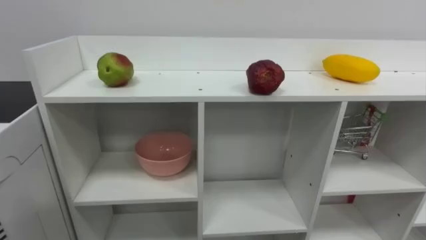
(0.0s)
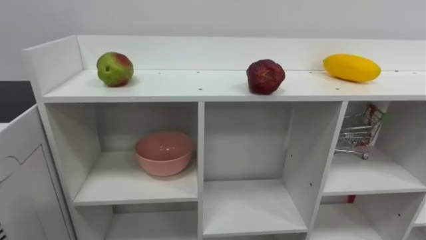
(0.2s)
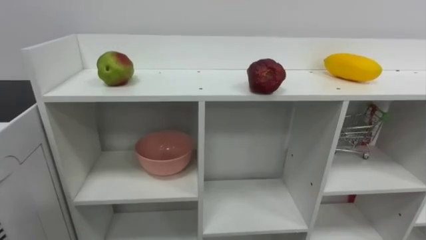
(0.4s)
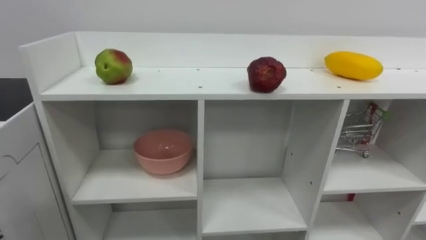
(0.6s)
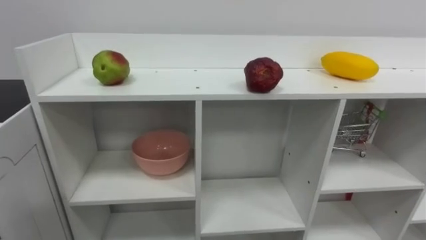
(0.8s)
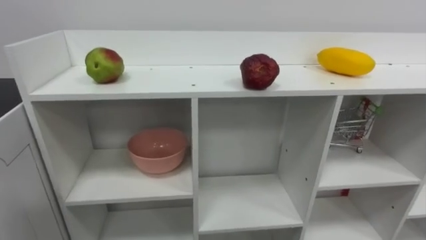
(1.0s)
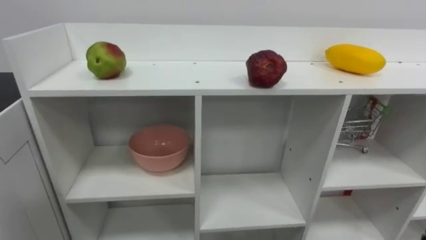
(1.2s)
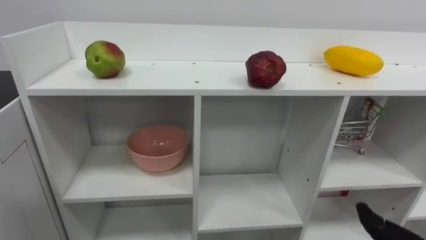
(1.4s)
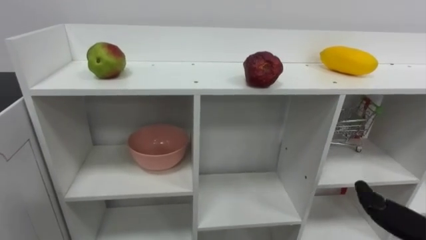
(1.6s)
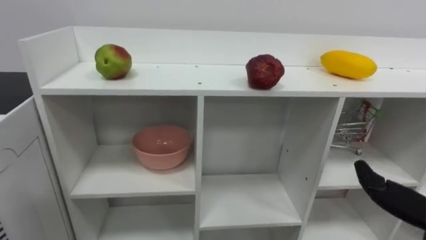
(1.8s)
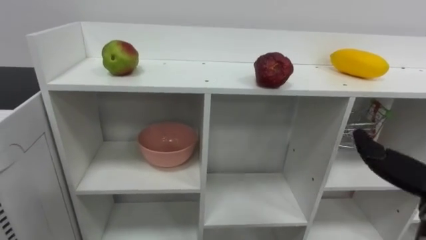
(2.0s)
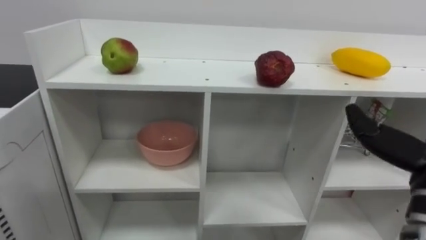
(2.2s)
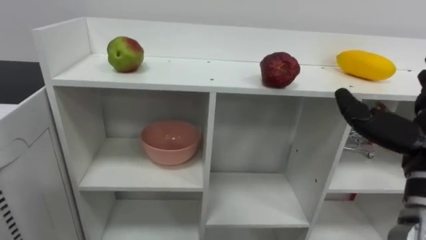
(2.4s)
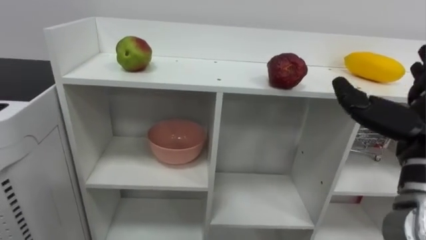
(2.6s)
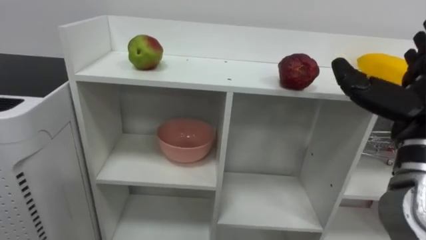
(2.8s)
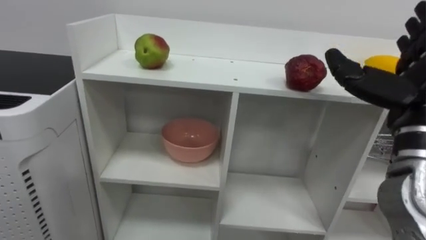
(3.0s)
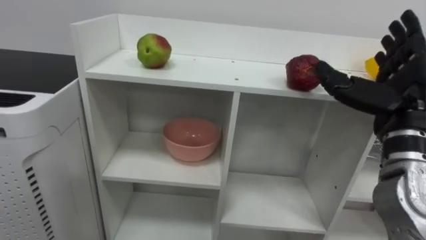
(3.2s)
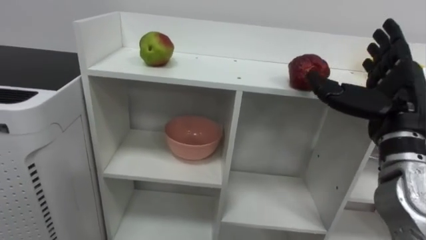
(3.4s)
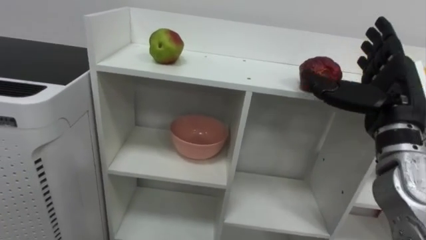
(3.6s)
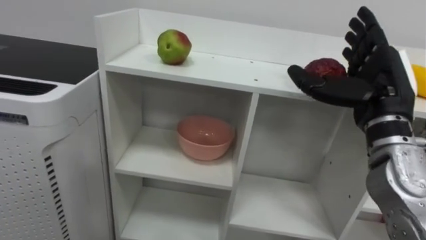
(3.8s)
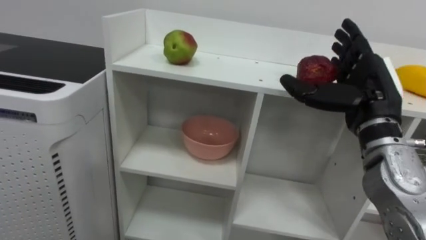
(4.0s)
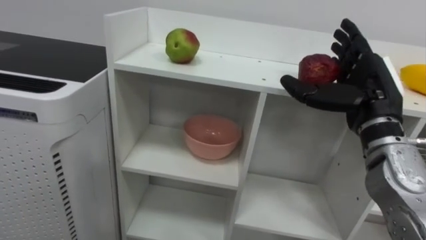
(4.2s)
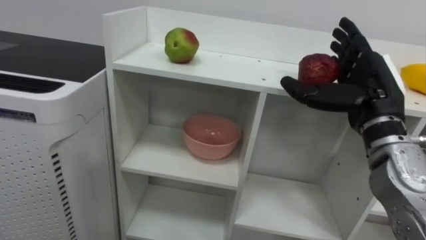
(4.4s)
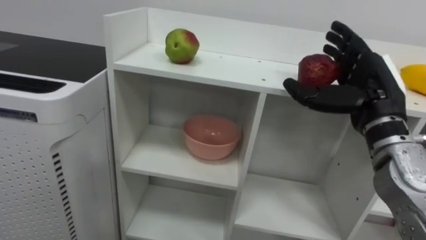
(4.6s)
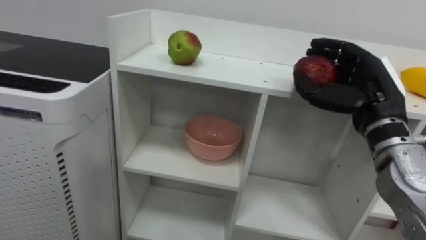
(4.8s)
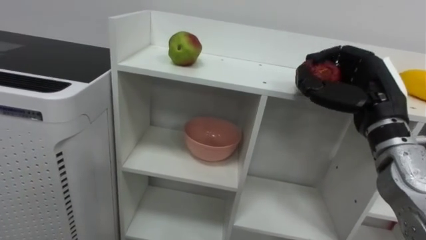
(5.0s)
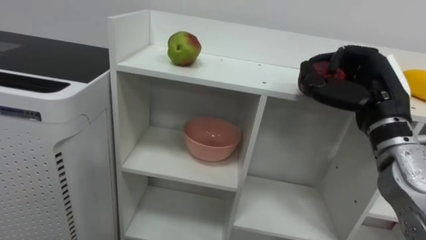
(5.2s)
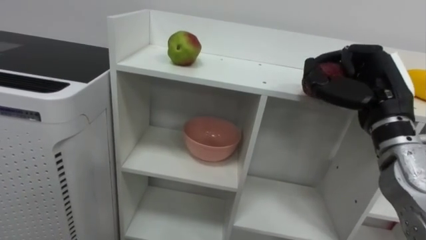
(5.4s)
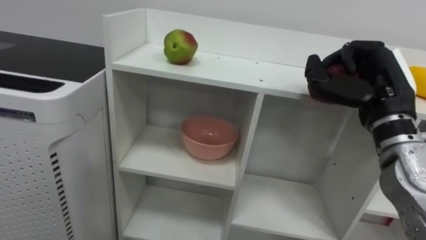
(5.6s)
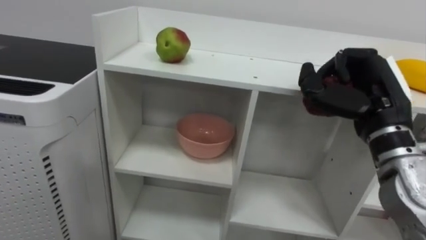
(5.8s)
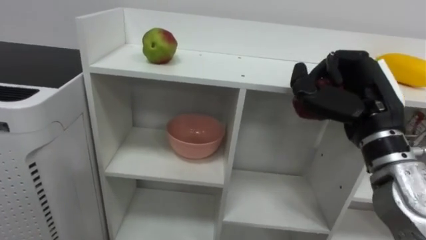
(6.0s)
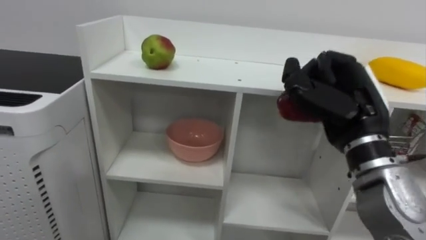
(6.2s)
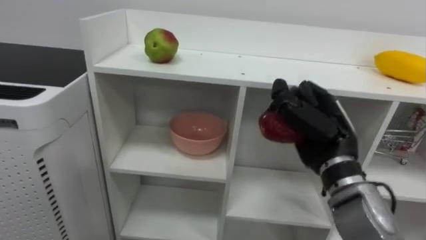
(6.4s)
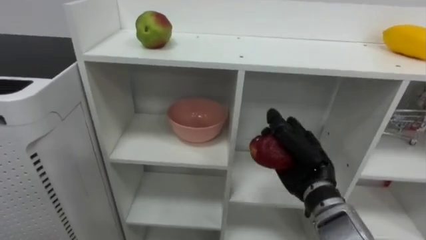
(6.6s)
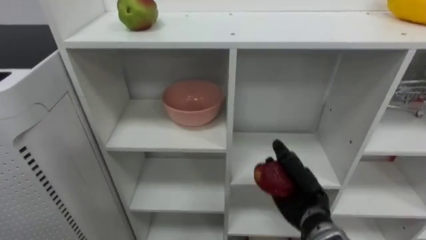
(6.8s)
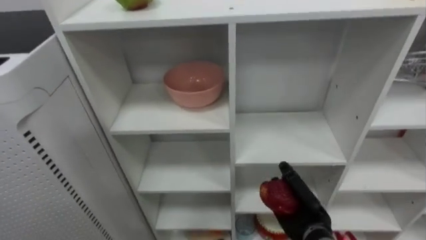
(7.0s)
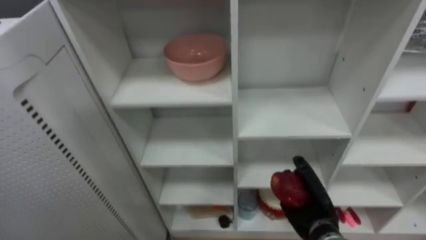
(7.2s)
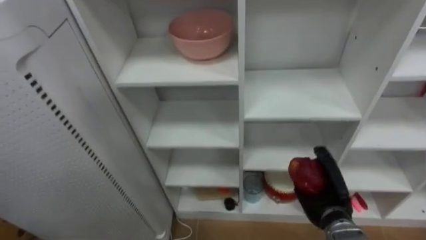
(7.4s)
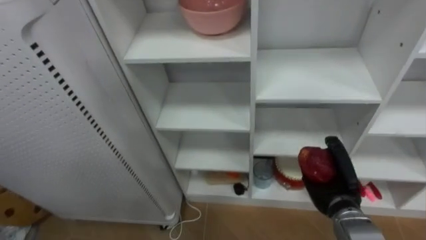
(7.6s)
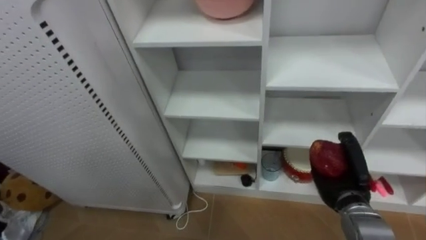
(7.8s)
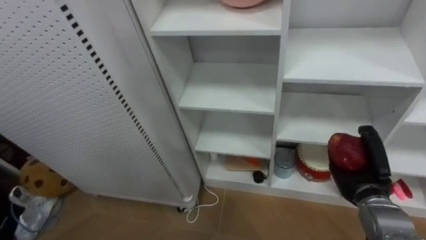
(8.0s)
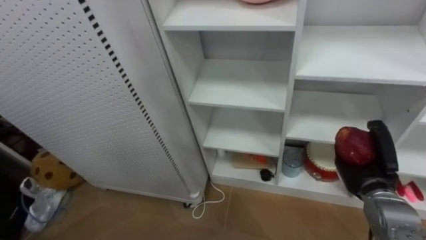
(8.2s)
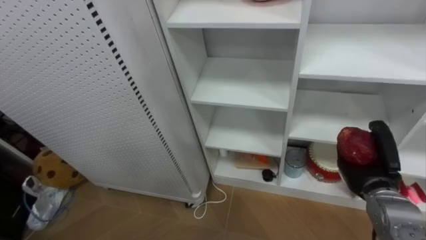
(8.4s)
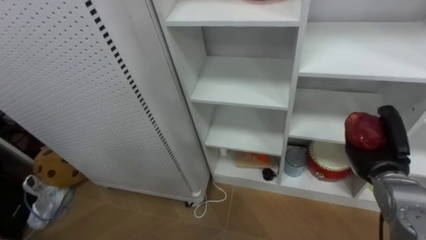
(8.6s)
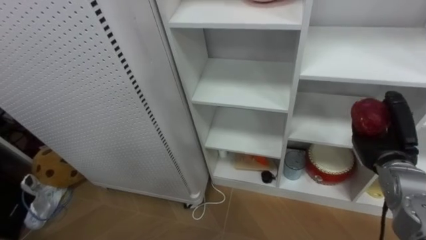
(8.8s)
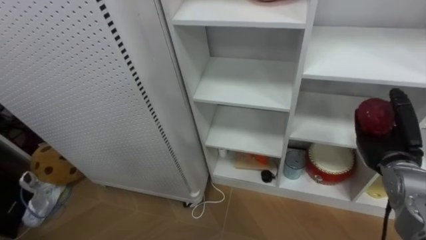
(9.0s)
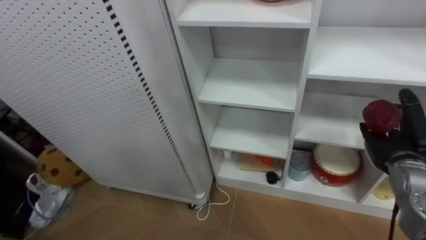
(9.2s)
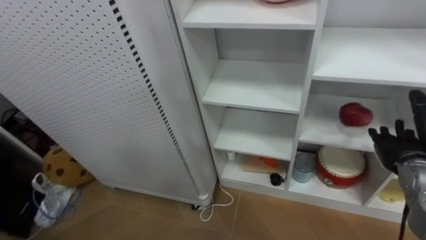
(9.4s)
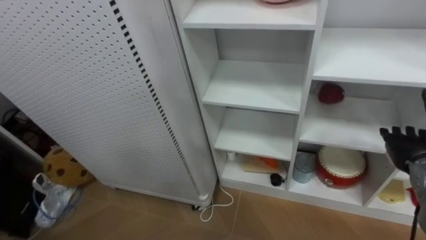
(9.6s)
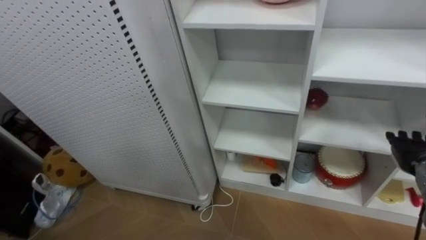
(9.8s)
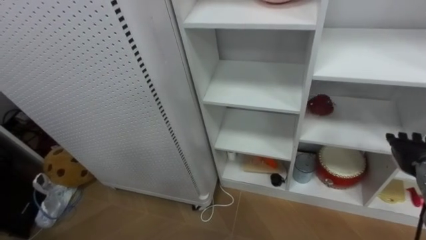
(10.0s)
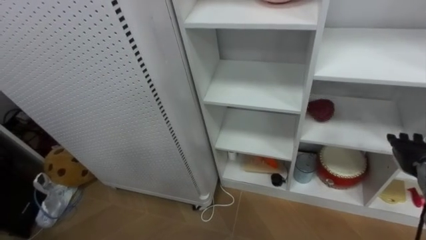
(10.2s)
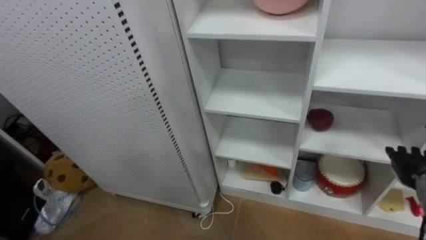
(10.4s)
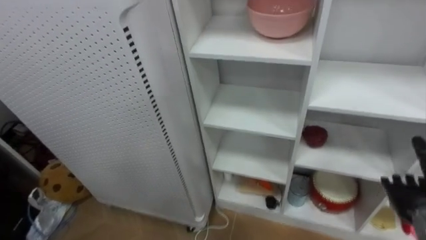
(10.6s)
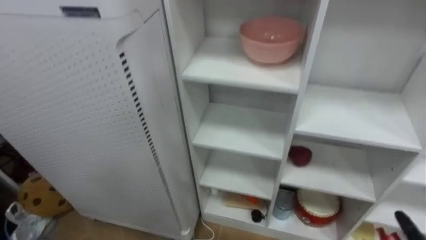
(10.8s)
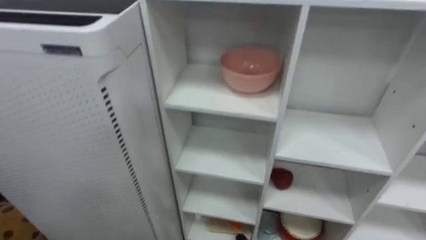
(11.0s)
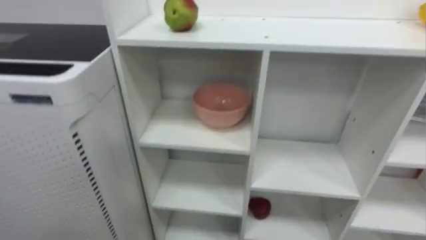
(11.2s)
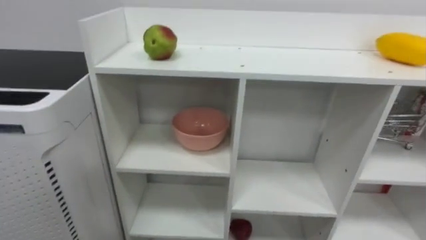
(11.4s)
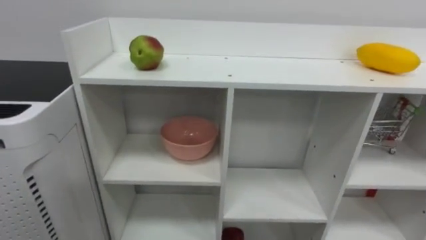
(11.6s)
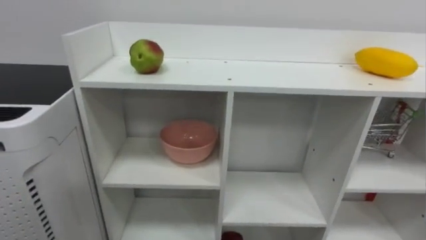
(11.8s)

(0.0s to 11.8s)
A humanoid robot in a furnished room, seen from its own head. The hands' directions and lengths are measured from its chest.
Task of the whole recording: Put the apple in the cell in the second column from the left and the second row from the top.
3.0s - 4.4s: The right hand goes approximately 5 cm forward.
4.4s - 6.0s: The right hand closes up.
6.0s - 7.4s: The right hand heads downward, covering some 25 cm.
7.4s - 8.8s: The right hand goes about 15 cm to the right and upward.
8.8s - 10.4s: The right hand travels to the right by some 5 cm, and opens.

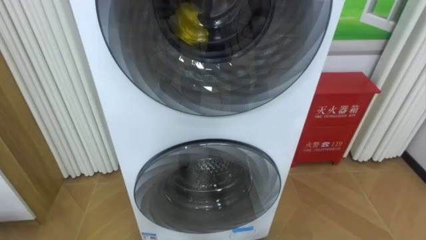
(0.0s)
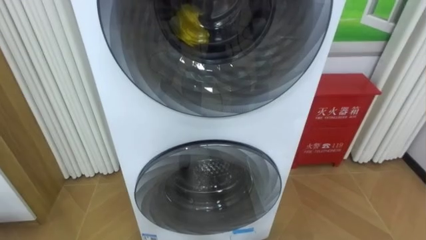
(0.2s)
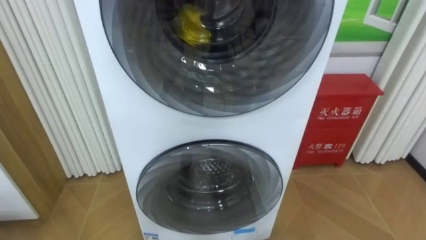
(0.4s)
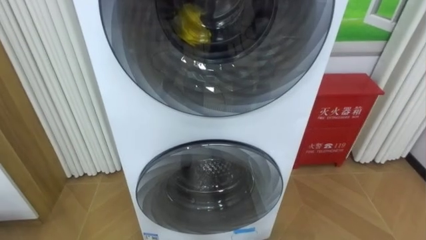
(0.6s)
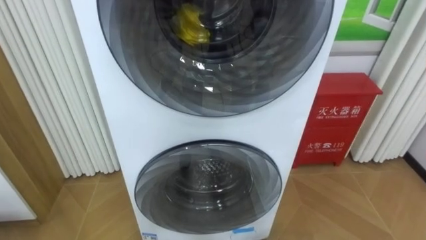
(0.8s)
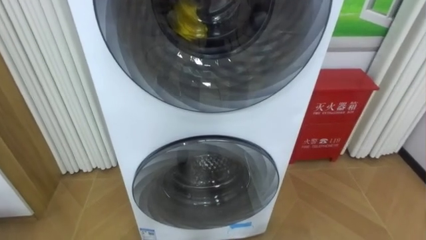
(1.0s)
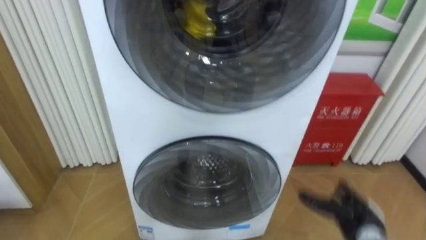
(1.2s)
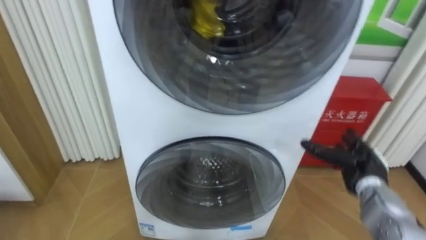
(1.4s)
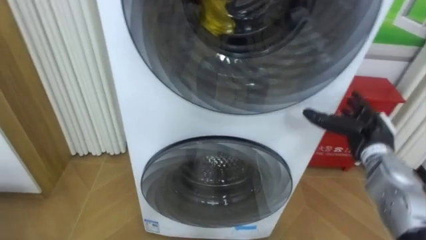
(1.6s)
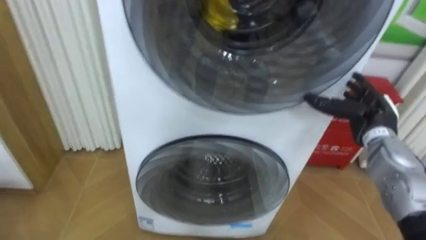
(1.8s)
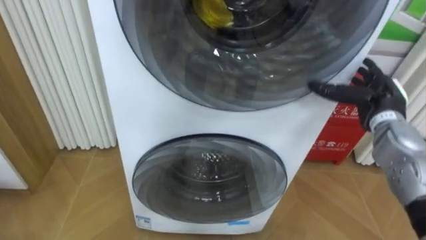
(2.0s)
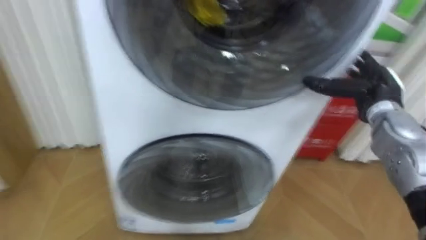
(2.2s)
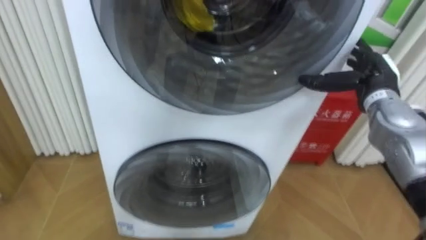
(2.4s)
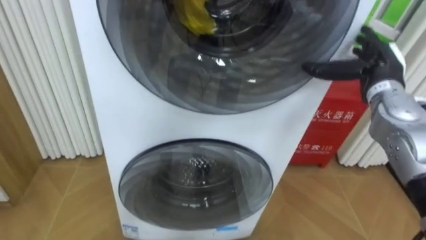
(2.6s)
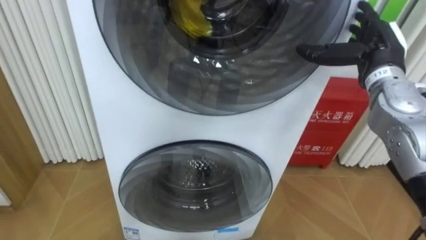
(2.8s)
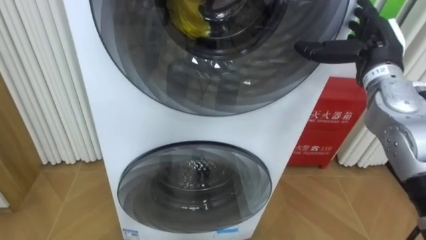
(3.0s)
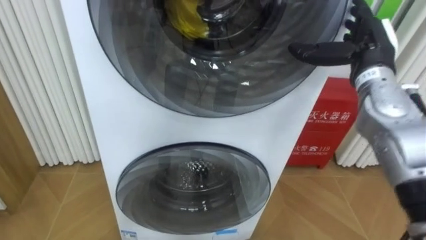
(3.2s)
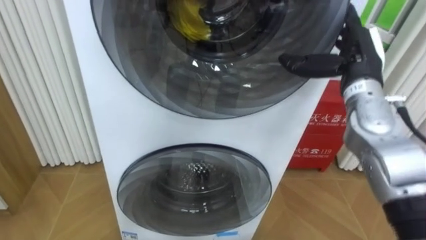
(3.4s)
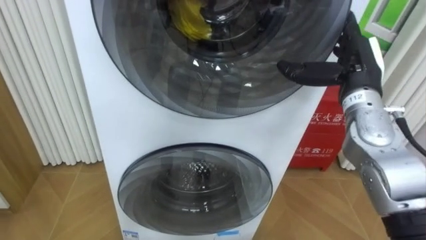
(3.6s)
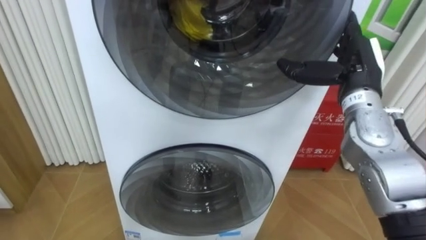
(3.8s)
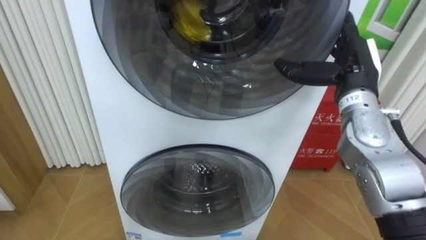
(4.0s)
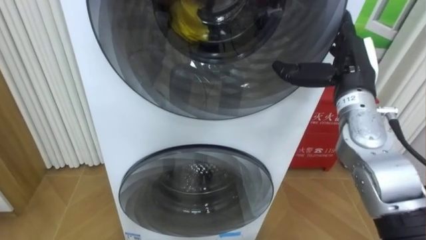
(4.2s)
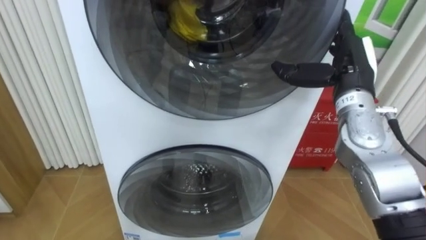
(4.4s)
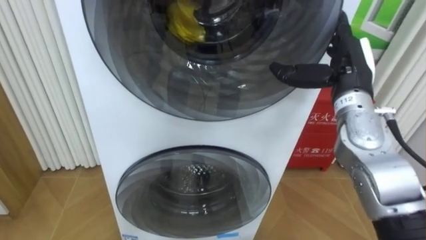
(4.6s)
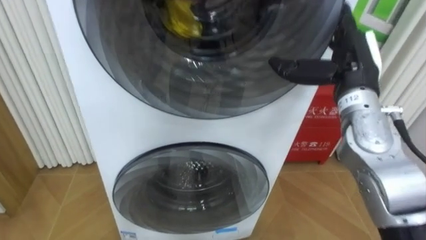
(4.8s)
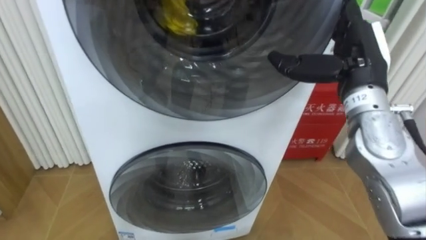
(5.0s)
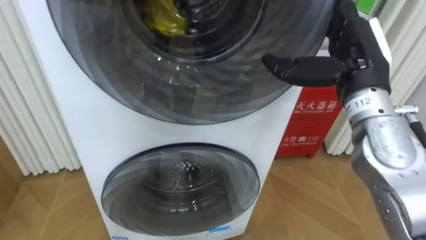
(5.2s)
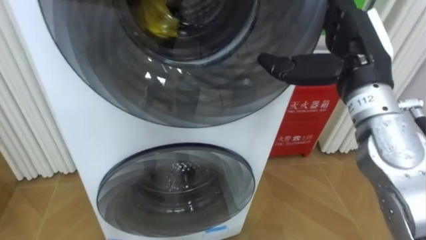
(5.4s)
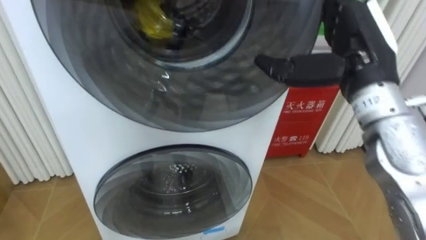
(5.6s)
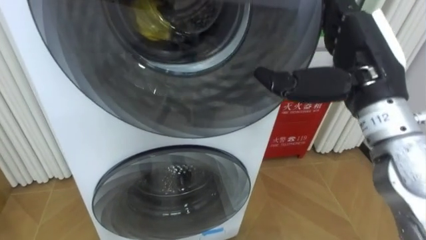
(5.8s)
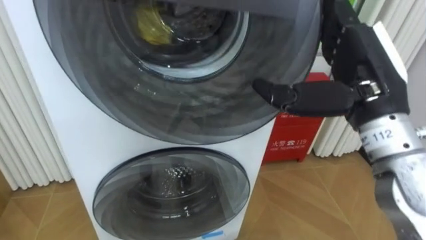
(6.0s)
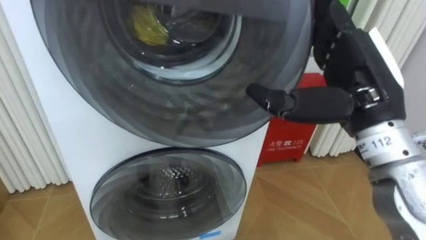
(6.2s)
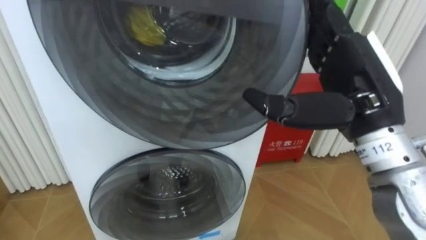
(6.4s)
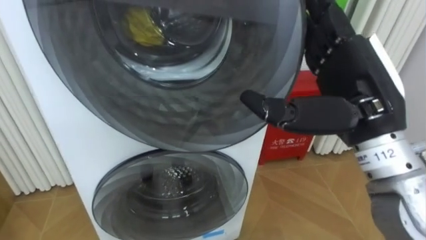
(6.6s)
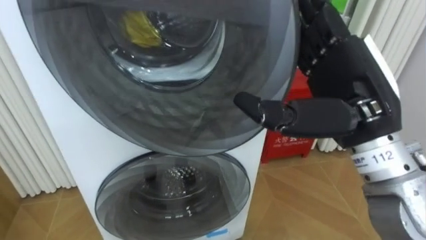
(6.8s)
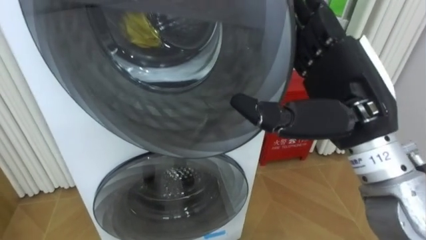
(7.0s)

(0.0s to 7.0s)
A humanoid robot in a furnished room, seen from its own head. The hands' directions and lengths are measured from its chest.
Task of the whole recording: Open the washing machine door, take out the yellow clothes, place them in the box on the right, and close the washing machine door.
1.4s - 2.8s: The right hand goes roughly 20 cm upward.
2.8s - 4.2s: The right hand shifts by about 5 cm.
4.2s - 5.6s: The right hand heads upward and backward, covering about 10 cm.
5.6s - 7.0s: The right hand moves backward, roughly 5 cm.
